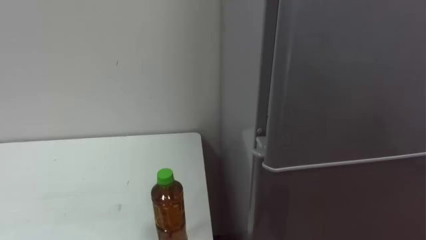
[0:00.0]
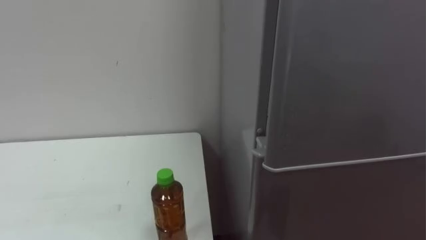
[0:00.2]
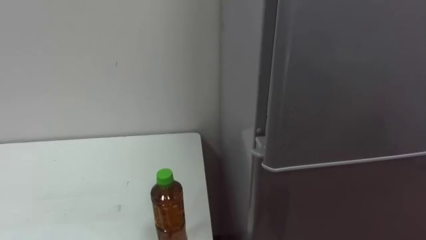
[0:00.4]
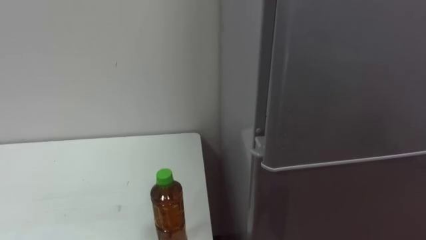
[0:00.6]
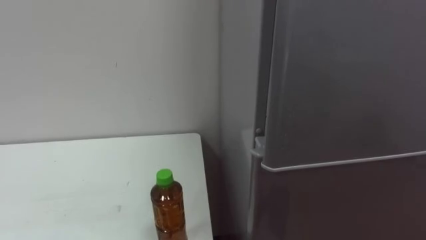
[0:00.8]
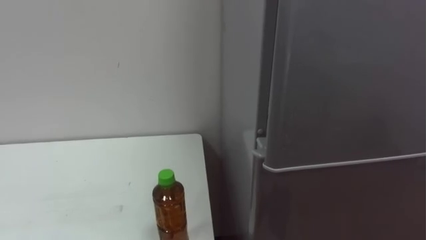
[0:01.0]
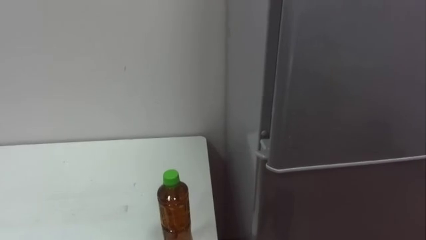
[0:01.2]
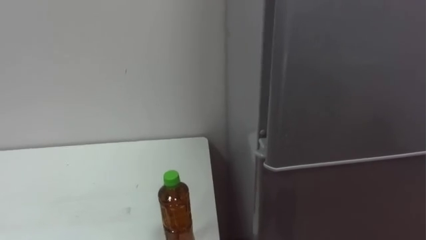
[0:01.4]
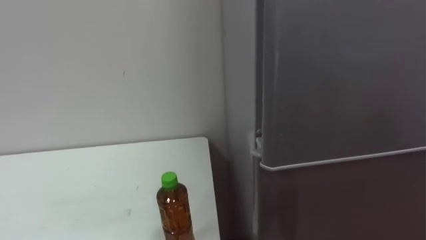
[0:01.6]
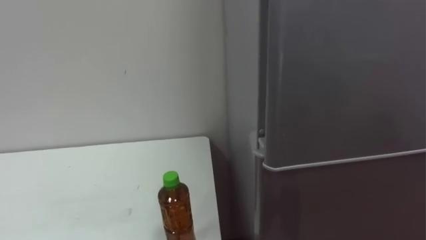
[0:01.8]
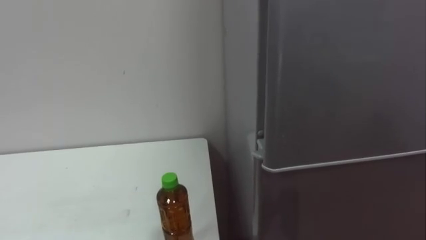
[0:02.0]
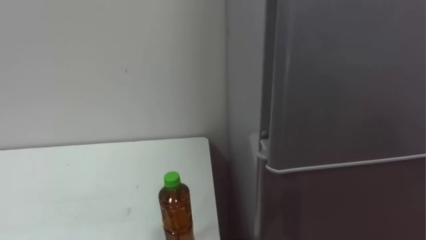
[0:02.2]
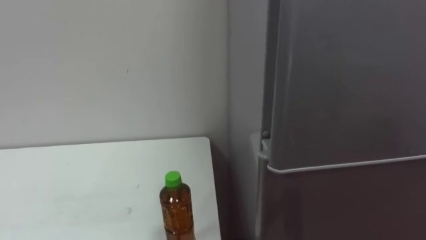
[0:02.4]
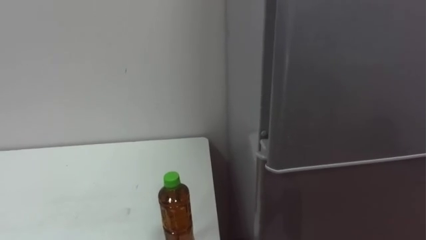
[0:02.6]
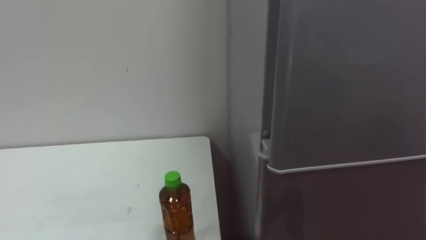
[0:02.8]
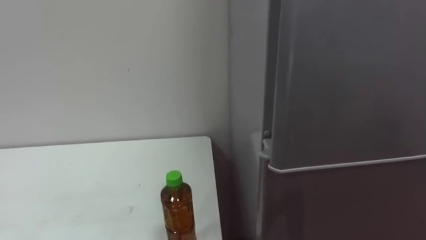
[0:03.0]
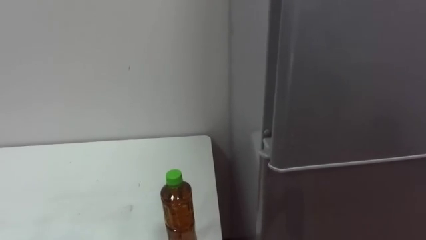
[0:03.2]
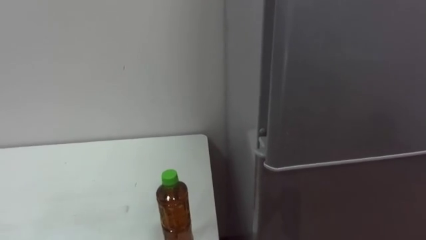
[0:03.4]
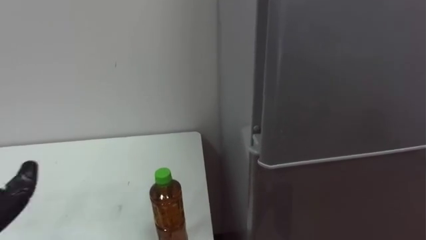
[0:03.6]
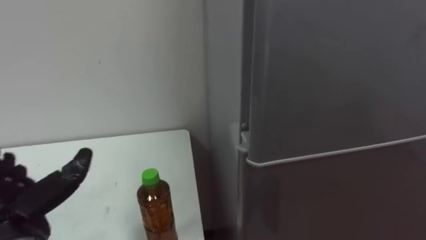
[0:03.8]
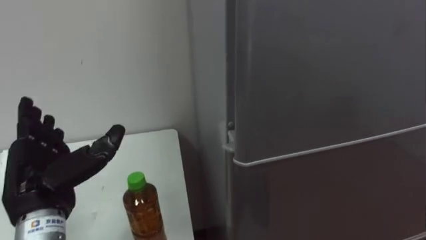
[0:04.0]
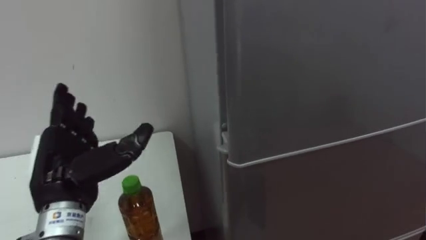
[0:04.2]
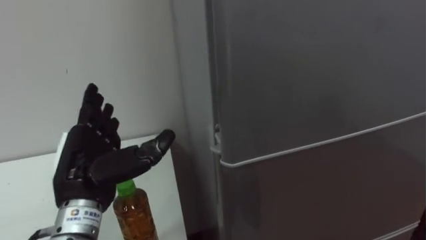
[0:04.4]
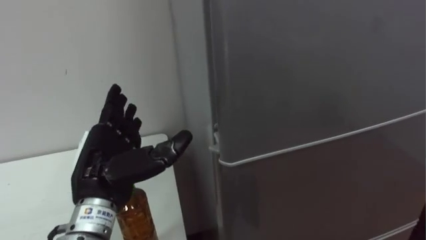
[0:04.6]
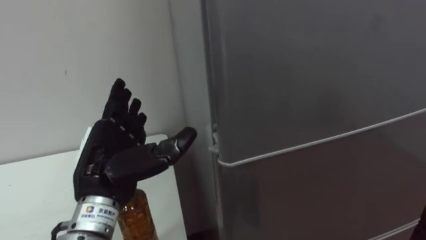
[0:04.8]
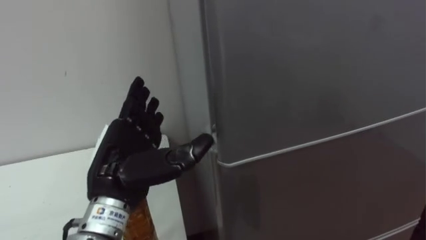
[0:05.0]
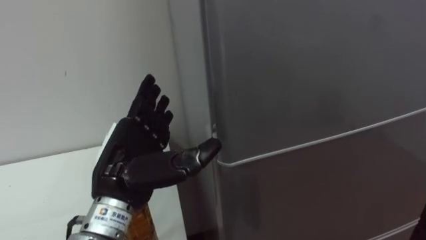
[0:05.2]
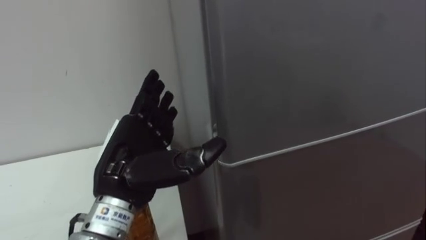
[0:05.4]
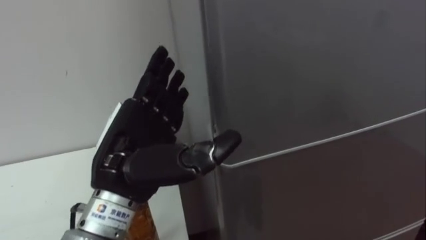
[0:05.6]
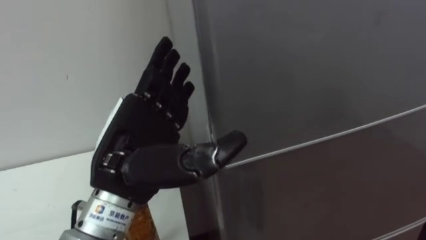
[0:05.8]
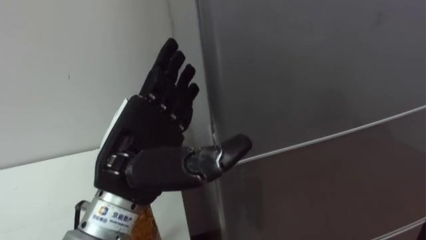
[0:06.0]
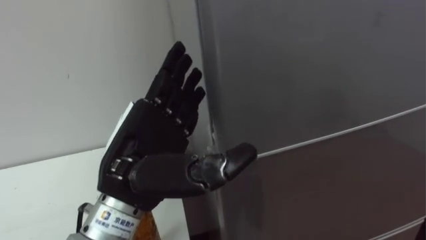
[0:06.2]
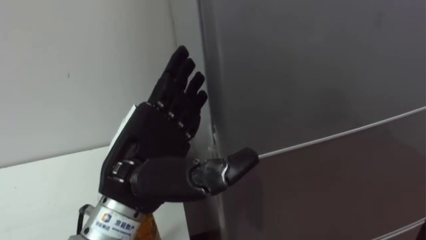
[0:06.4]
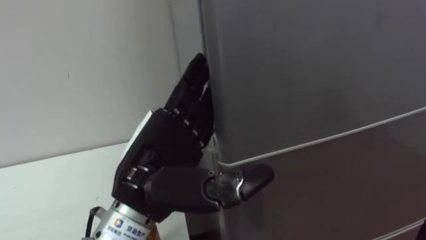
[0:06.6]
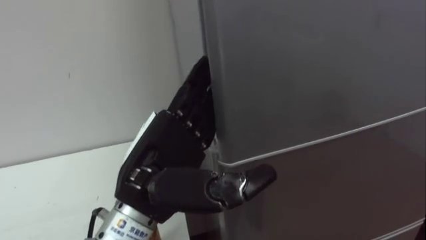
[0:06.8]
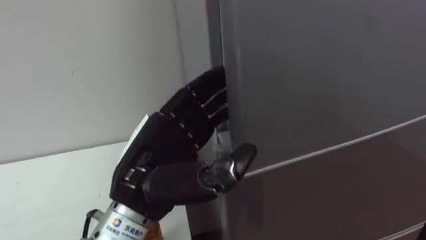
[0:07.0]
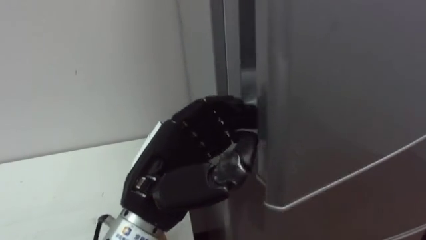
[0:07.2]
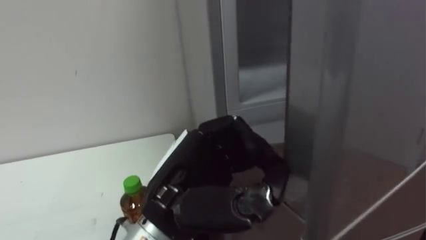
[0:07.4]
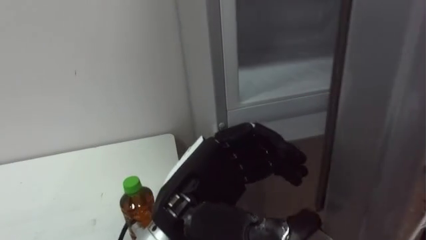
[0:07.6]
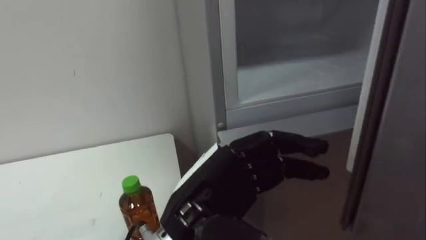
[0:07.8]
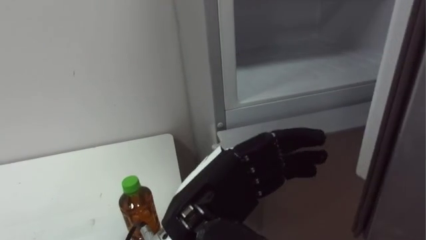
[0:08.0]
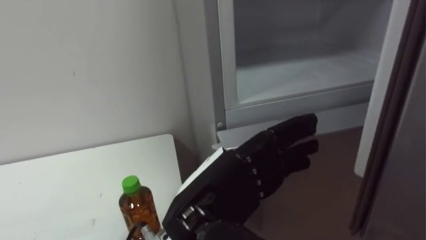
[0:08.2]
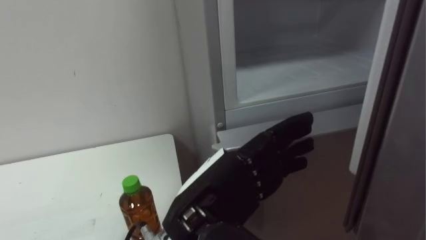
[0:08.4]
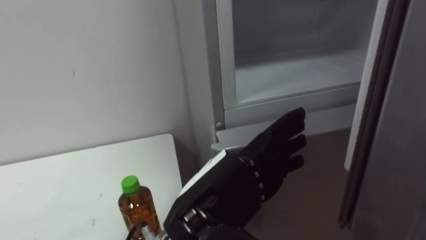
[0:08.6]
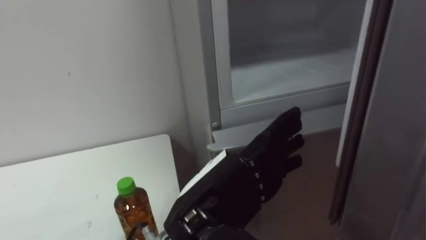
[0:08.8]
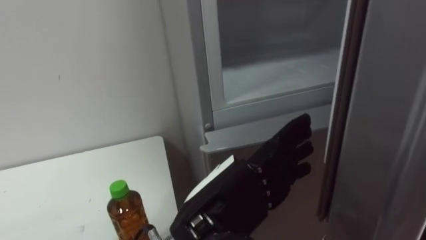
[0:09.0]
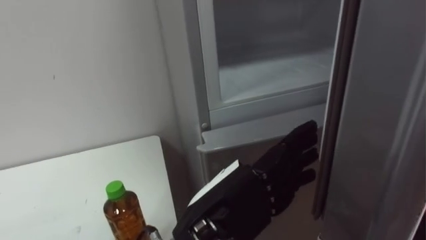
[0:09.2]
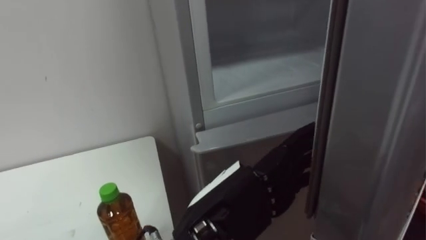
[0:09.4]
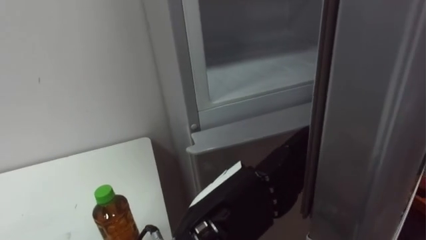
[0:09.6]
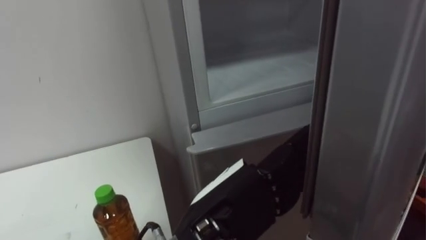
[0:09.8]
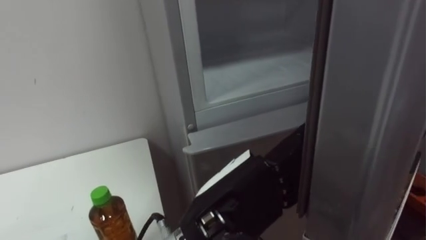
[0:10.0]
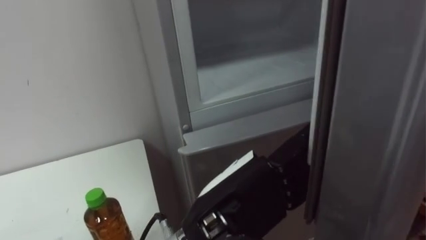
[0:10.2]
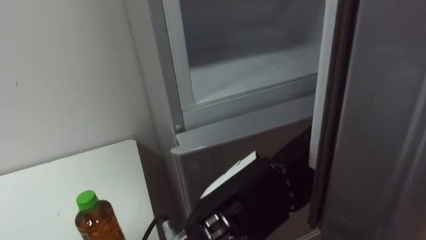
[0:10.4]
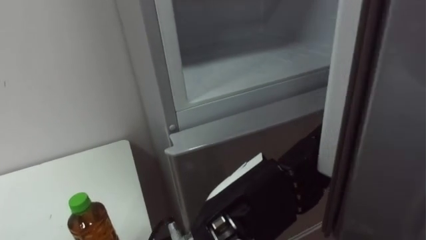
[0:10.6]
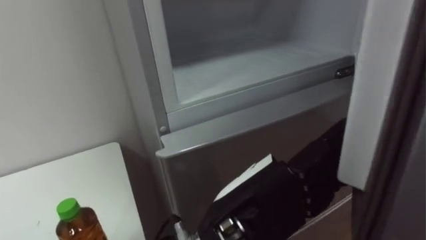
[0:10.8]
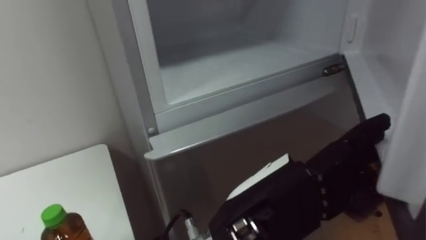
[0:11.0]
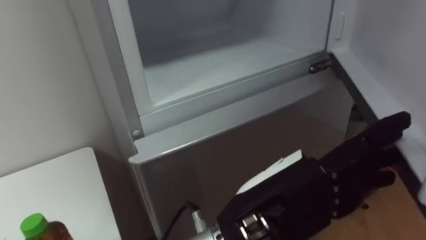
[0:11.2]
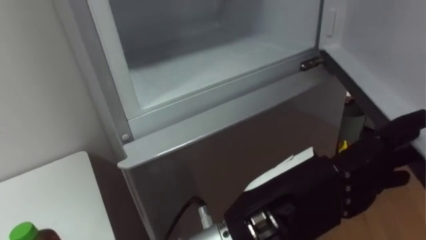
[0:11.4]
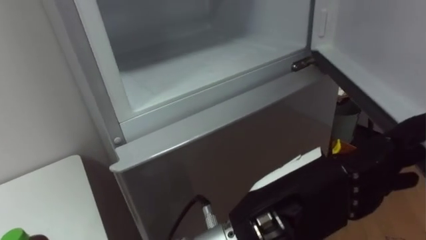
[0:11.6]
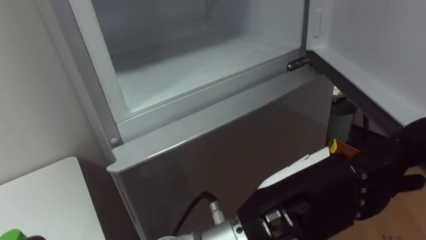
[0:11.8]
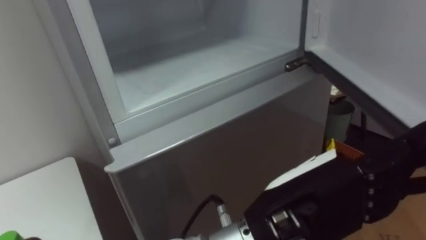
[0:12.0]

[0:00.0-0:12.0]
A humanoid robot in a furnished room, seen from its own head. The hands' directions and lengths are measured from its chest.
Task of the whole recording: Open the upper refrigerator door, put the drink from the table into the refrigerator, and then close the refrigerator door.
0:04.4 to 0:06.0: The left hand travels to the right and upward by roughly 10 cm.
0:06.0 to 0:07.6: The left hand goes about 5 cm to the right, and closes.
0:07.6 to 0:09.0: The left hand opens up.
0:10.4 to 0:12.0: The left hand goes some 5 cm to the right.

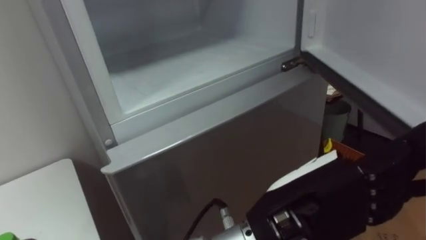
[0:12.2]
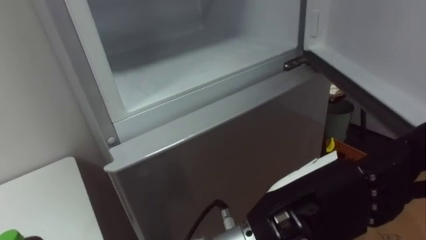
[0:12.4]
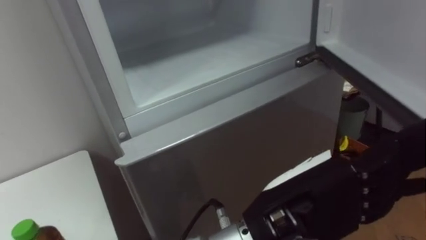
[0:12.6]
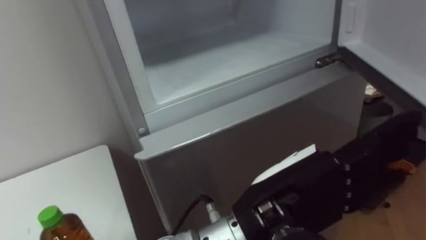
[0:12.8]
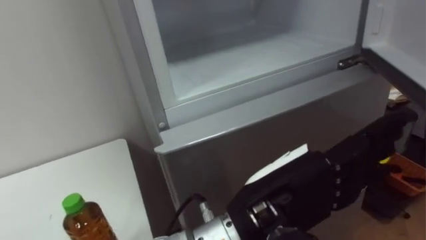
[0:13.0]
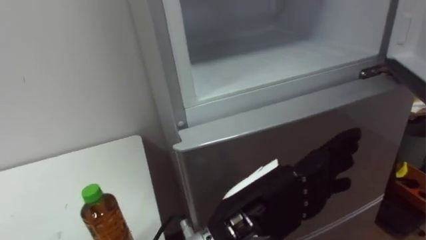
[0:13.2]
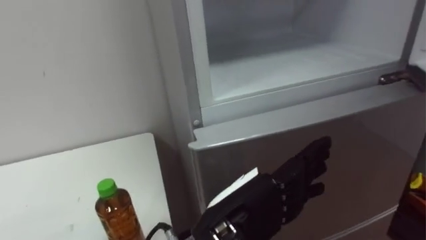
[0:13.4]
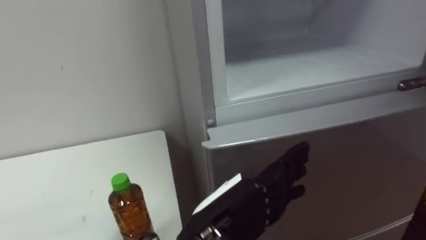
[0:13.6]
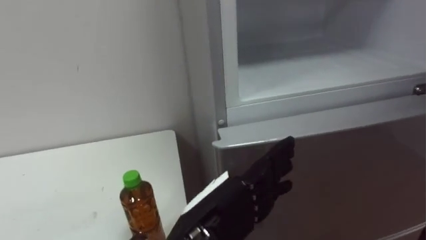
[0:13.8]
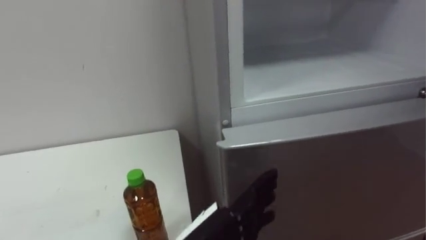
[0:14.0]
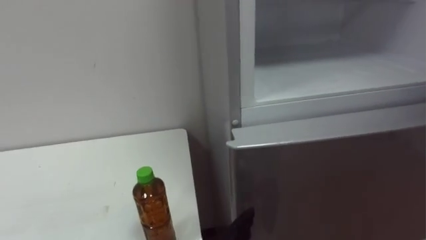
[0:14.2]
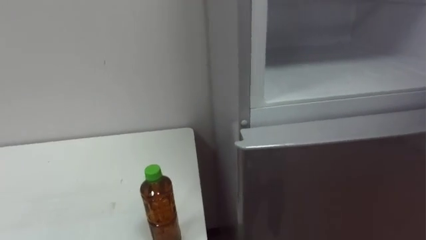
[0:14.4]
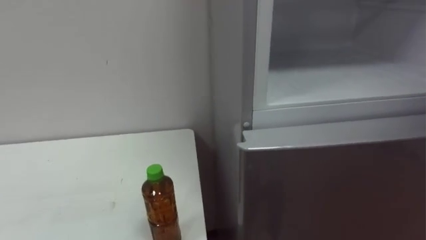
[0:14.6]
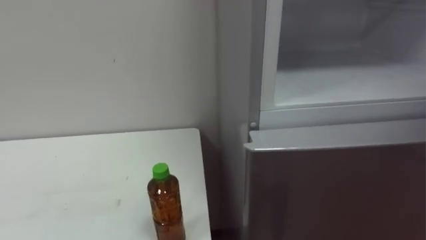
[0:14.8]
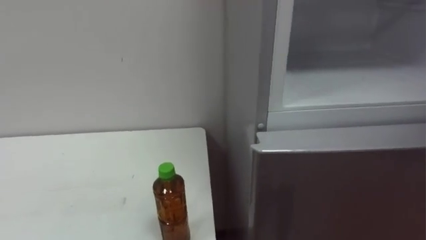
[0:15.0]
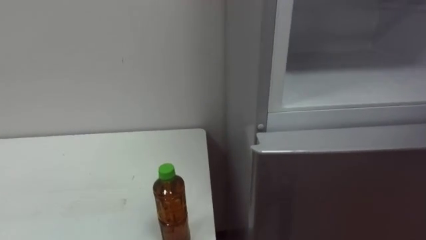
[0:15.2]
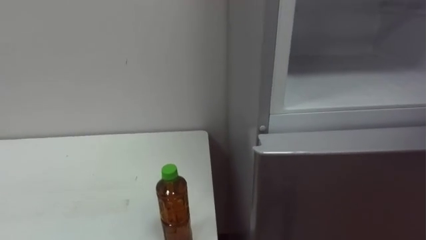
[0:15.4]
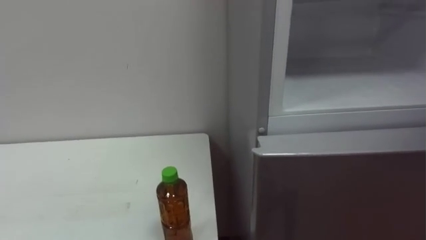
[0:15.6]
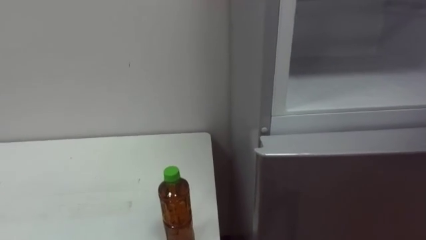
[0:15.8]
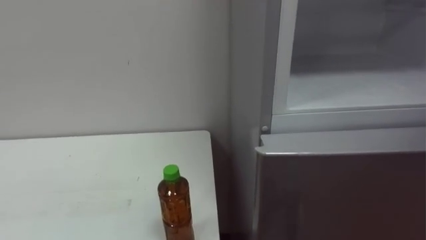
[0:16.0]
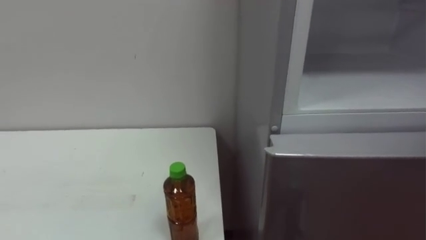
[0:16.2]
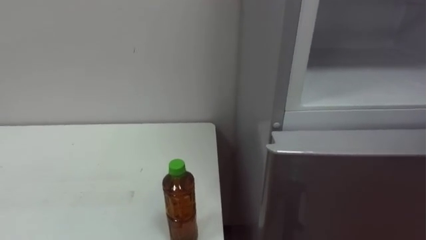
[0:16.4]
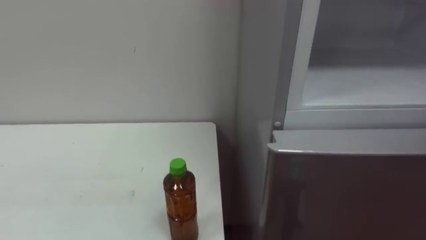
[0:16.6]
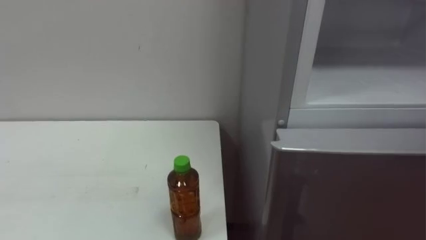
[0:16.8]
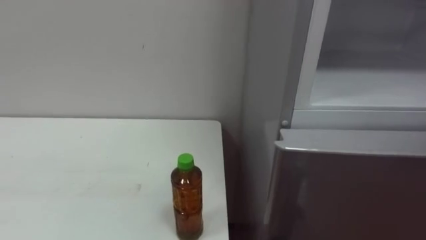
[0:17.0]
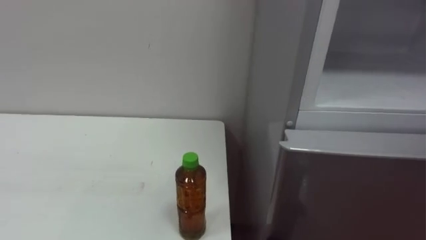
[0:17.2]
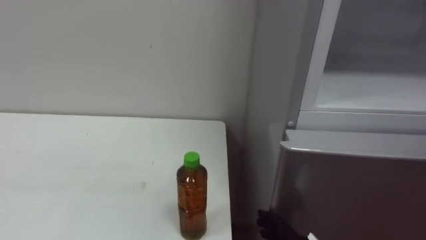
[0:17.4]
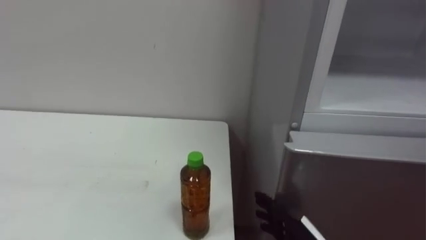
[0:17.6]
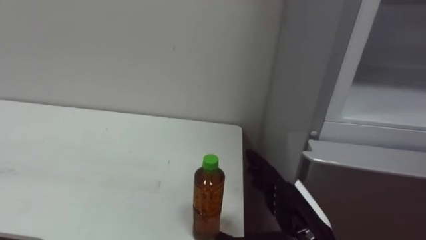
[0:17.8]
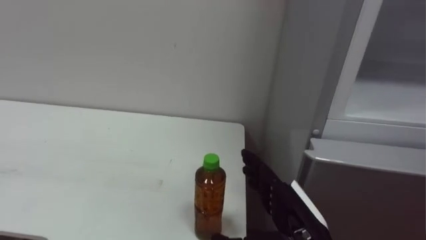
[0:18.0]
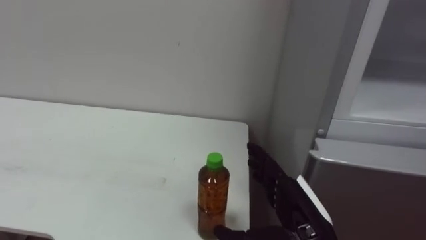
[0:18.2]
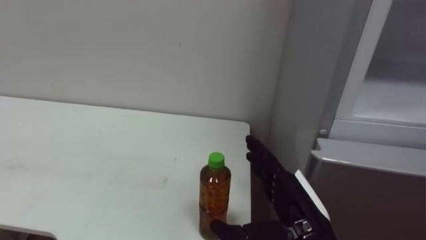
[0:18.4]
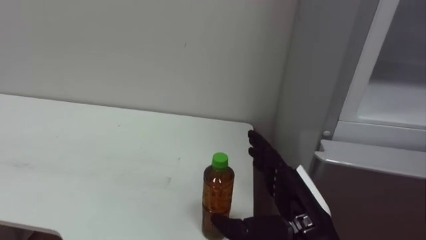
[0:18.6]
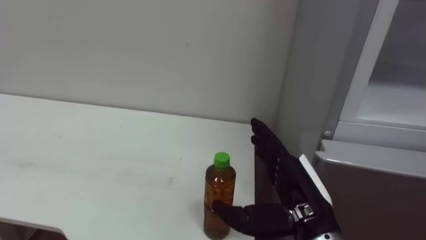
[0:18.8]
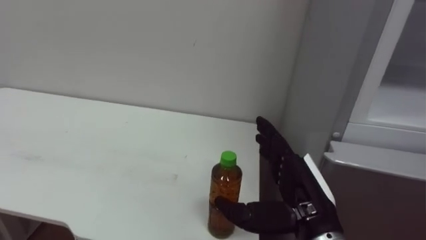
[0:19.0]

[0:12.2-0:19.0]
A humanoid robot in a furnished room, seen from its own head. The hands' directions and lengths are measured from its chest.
Task of the whole recording: Open the upper refrigerator door, put the drink from the table into the refrigerator, and then close the refrigerator door.
0:12.2 to 0:13.6: The left hand shifts some 10 cm downward and to the left.
